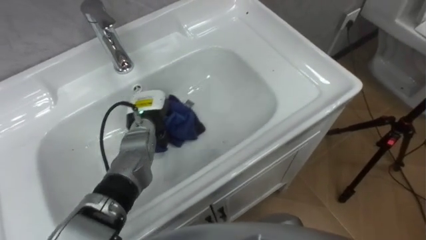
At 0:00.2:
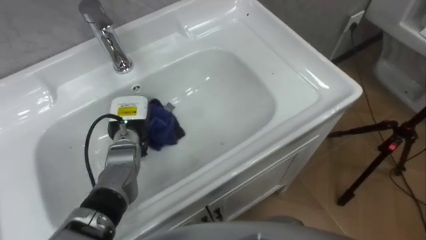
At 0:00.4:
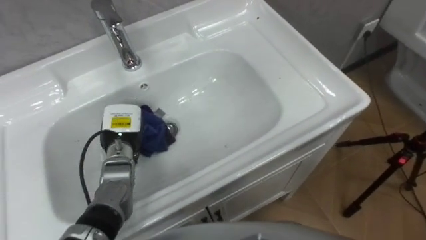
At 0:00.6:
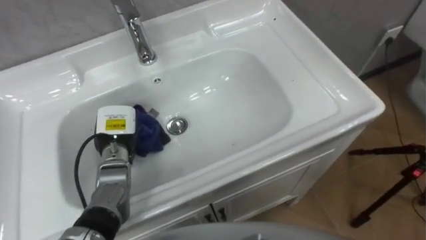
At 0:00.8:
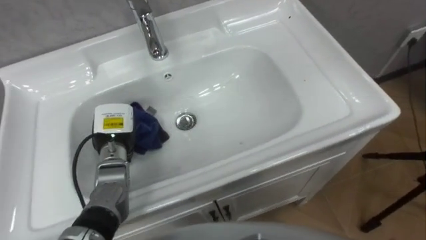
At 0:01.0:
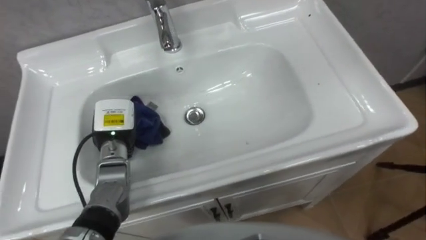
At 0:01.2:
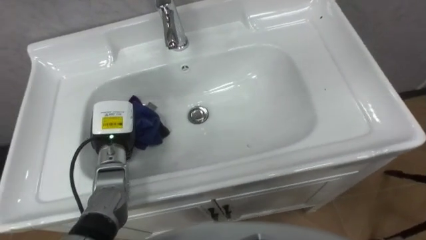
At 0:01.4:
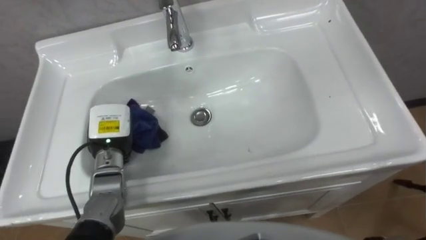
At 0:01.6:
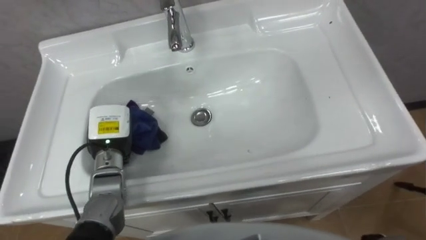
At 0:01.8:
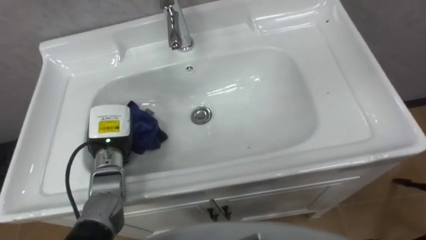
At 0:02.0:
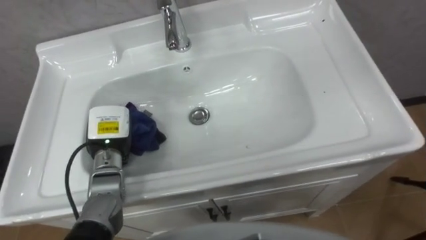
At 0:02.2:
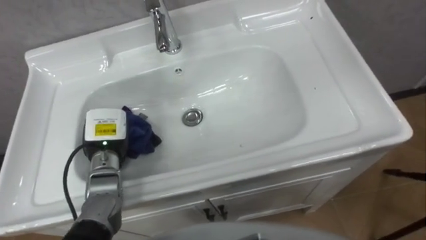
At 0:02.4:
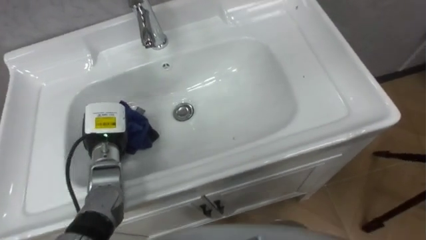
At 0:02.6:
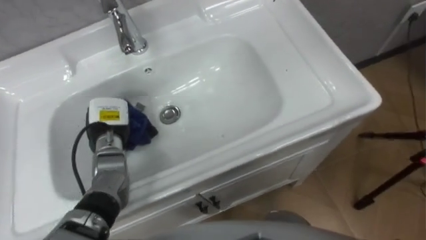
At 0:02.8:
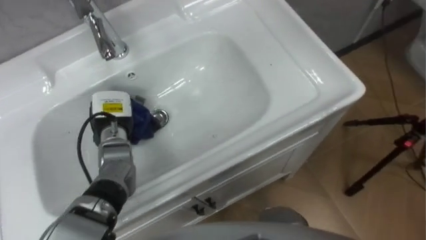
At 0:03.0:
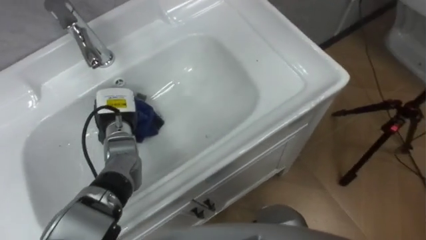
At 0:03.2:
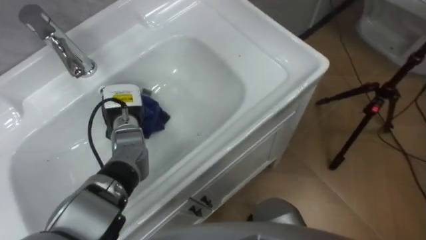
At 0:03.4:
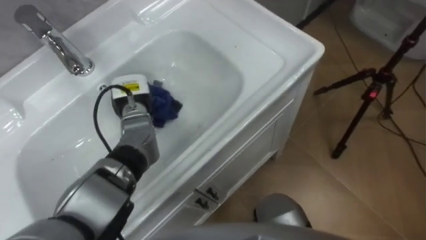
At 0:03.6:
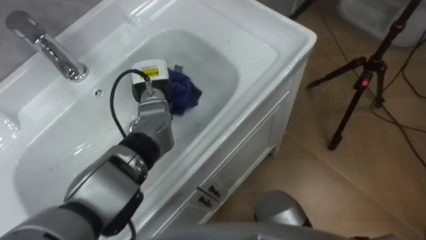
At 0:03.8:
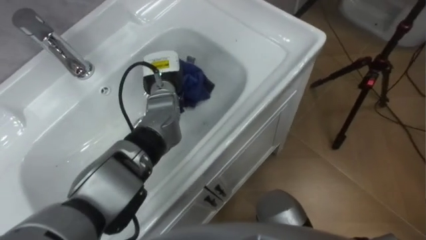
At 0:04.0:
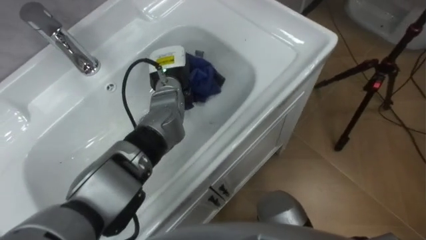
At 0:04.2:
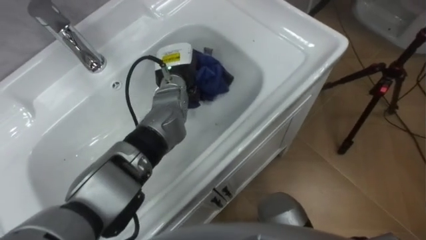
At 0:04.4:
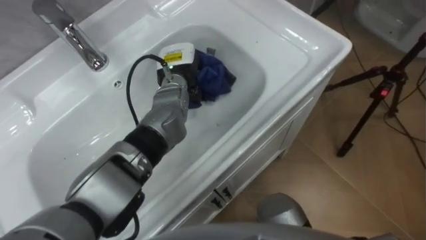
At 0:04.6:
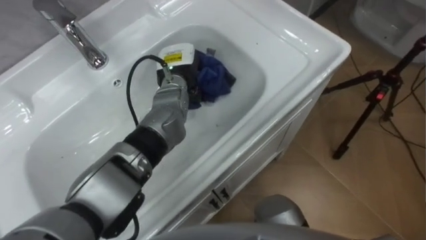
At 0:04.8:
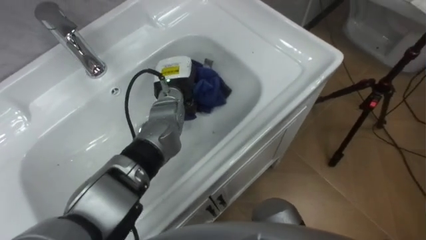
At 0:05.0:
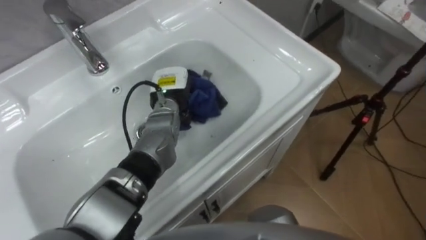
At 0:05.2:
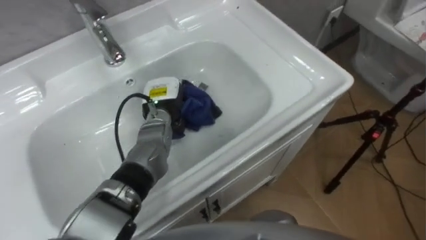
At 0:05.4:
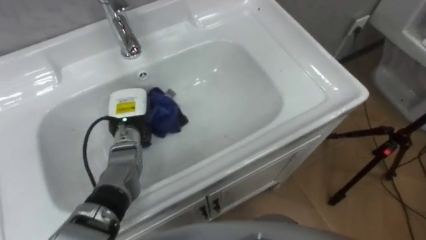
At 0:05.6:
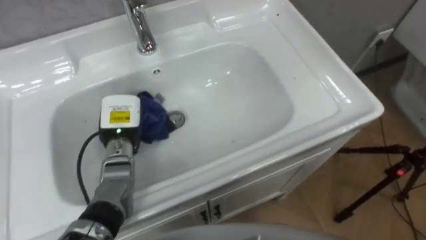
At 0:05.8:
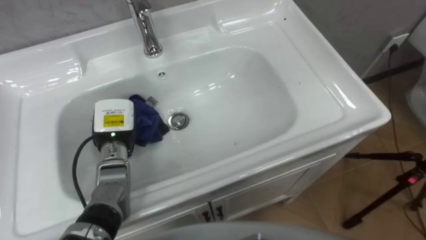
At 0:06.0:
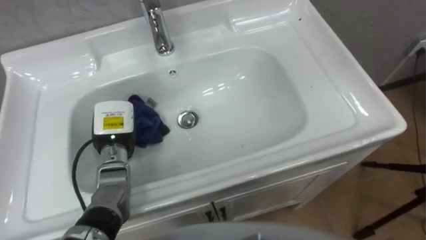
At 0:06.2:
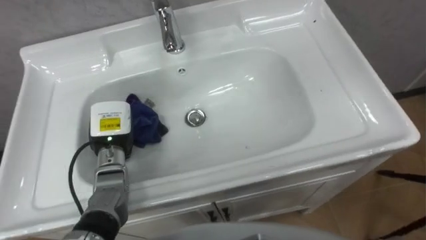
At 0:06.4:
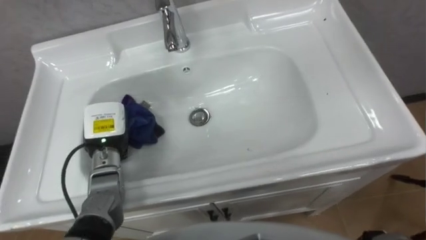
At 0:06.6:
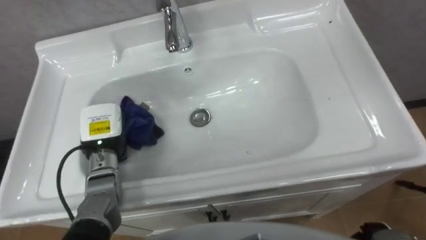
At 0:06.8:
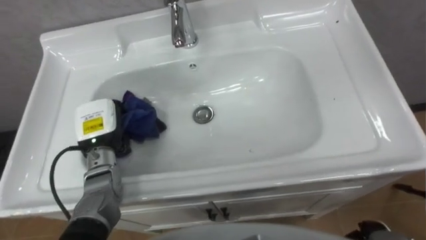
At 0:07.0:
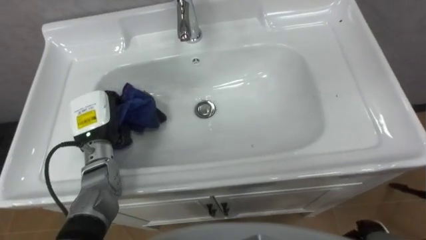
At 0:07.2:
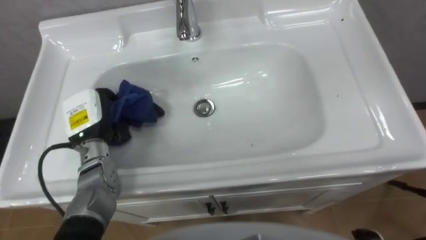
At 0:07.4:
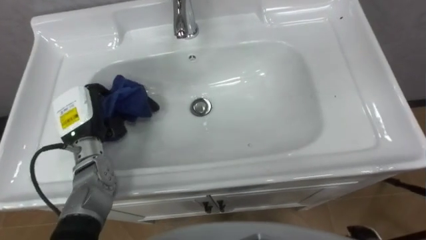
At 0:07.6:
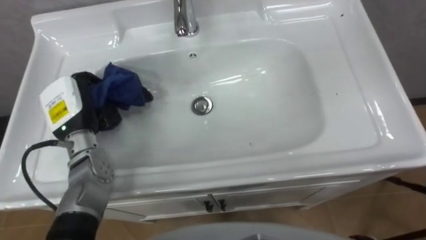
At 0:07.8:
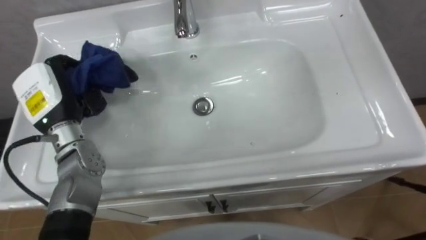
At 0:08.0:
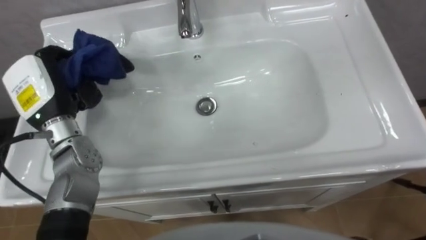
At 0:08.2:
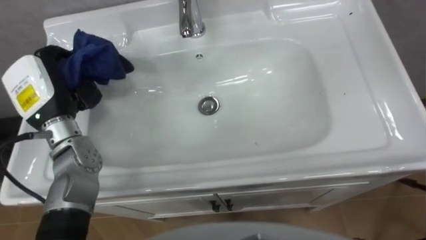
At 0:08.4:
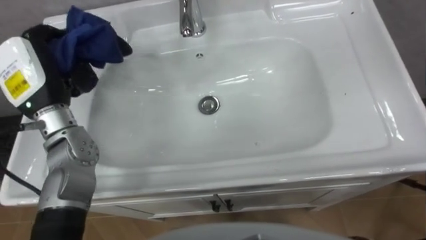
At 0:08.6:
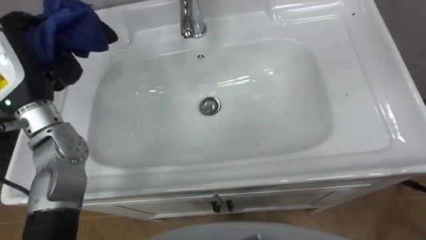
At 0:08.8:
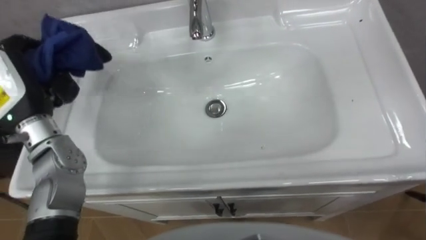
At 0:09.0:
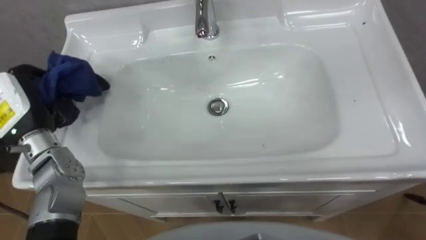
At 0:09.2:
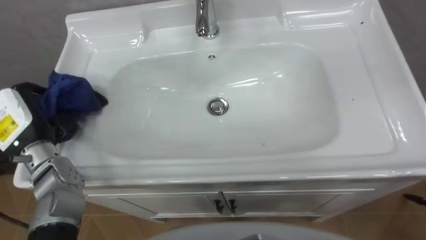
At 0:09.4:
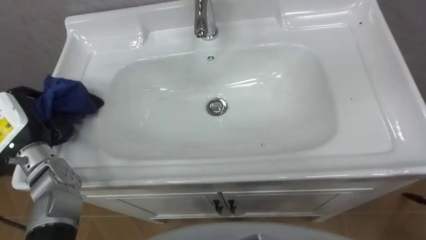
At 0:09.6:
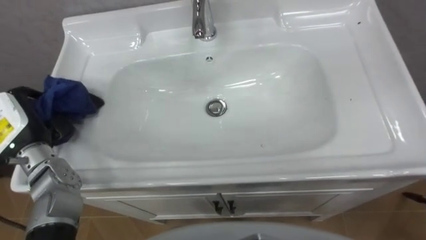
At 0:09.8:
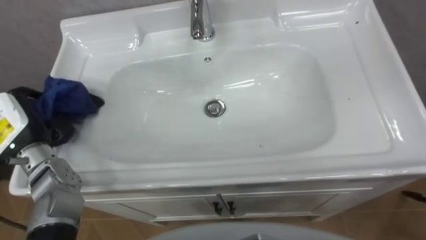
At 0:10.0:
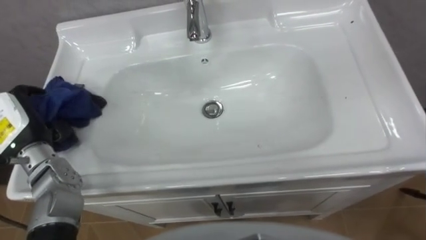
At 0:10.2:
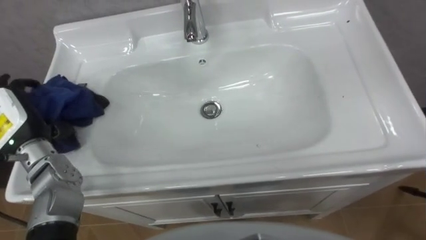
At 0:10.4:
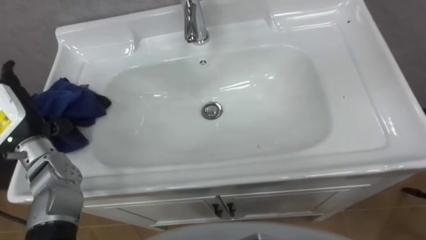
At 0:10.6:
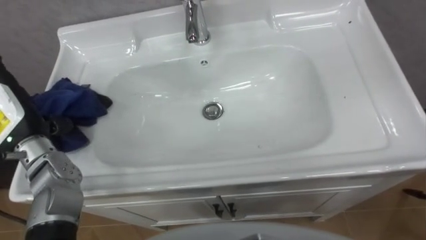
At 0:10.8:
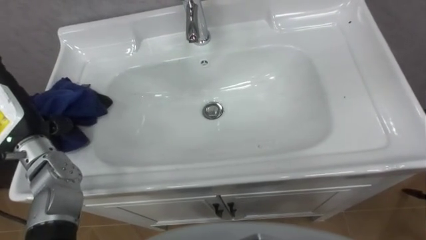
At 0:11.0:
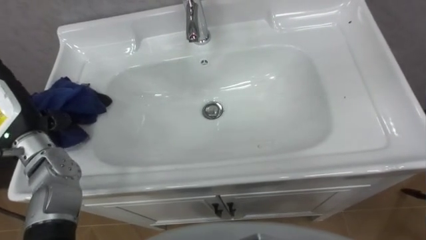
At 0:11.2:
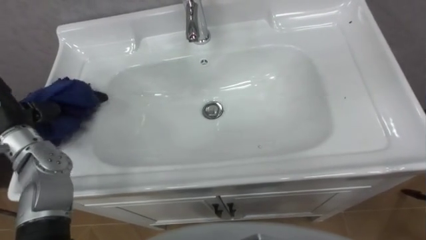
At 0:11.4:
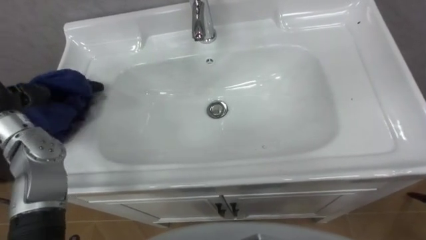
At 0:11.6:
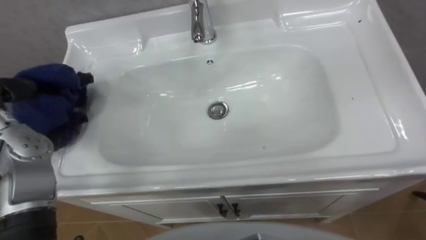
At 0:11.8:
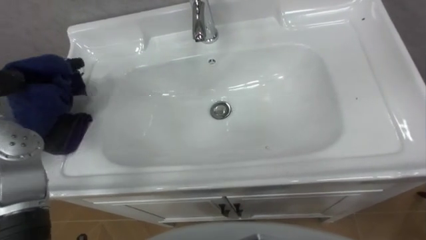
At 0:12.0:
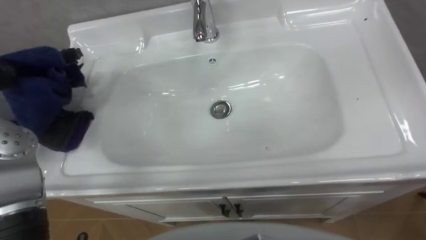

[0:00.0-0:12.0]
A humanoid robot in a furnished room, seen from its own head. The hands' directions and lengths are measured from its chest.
Task of the whole recording: Use the cloth on the right to wipe away the black stain in the sink.
0:00.0 to 0:01.6: The left hand heads to the left and backward, covering approximately 10 cm.
0:01.6 to 0:03.0: The left hand goes approximately 5 cm forward.
0:03.0 to 0:04.4: The left hand shifts approximately 15 cm to the right, forward and upward.
0:04.4 to 0:06.0: The left hand moves to the left, backward and downward, about 20 cm.
0:06.0 to 0:07.6: The left hand goes some 10 cm upward and to the left.
0:07.6 to 0:09.0: The left hand goes roughly 10 cm to the left and upward.
0:09.0 to 0:10.4: The left hand opens up.

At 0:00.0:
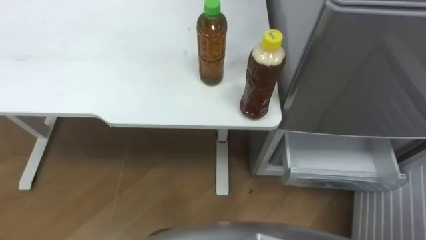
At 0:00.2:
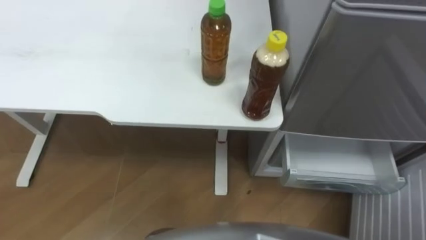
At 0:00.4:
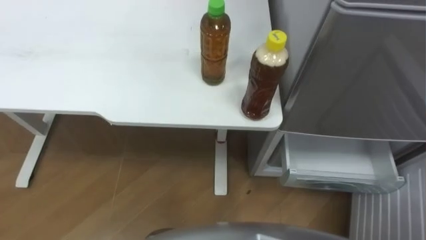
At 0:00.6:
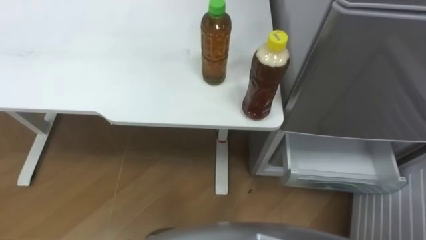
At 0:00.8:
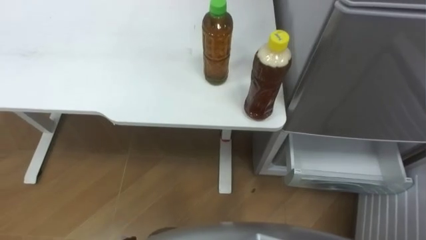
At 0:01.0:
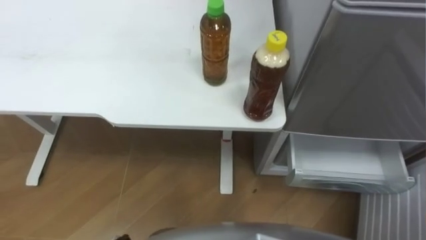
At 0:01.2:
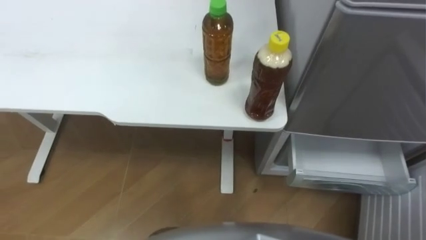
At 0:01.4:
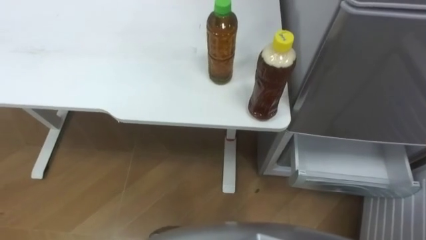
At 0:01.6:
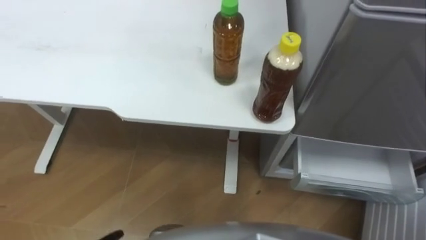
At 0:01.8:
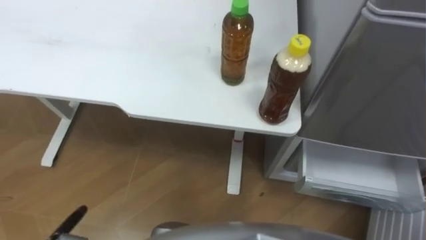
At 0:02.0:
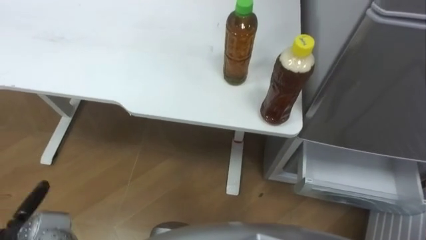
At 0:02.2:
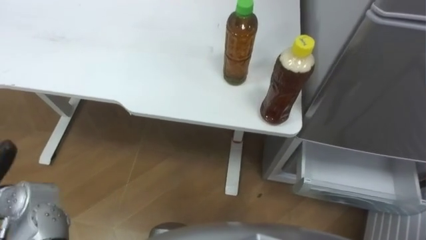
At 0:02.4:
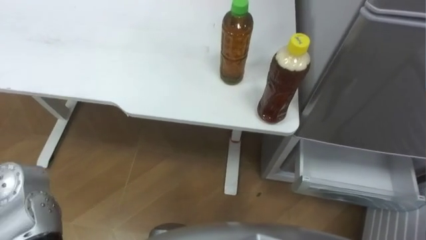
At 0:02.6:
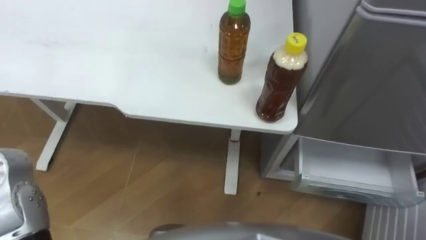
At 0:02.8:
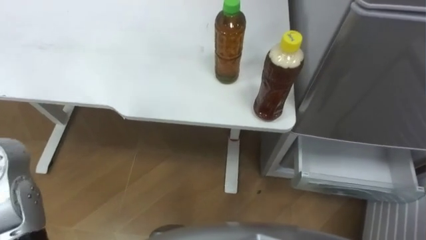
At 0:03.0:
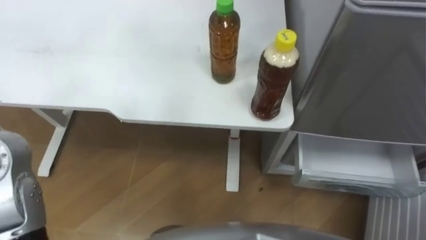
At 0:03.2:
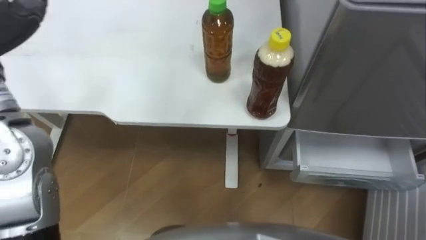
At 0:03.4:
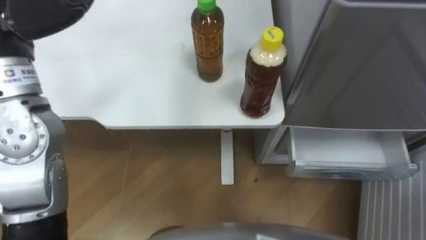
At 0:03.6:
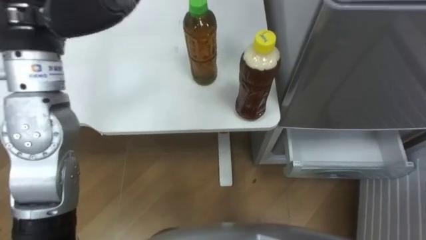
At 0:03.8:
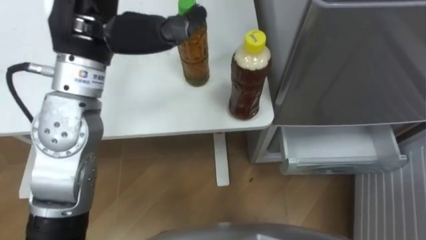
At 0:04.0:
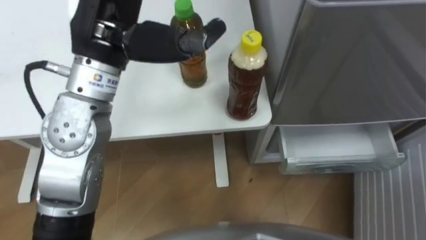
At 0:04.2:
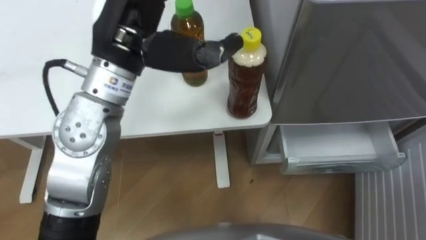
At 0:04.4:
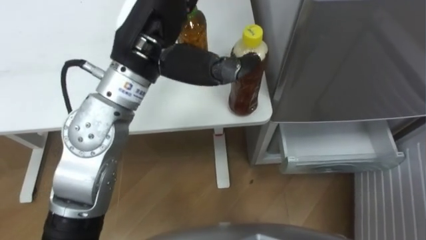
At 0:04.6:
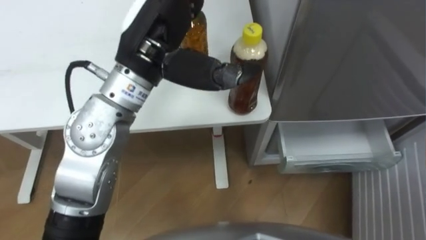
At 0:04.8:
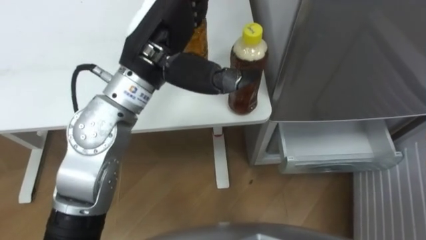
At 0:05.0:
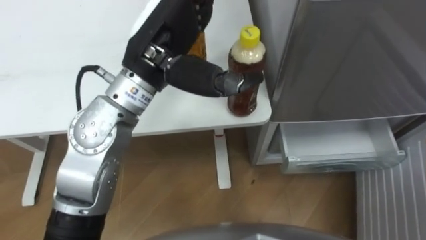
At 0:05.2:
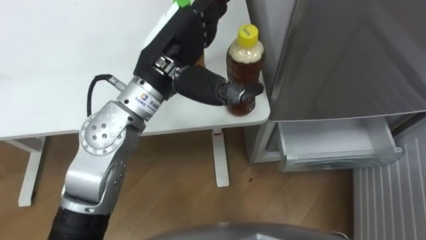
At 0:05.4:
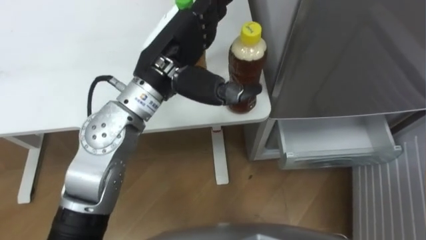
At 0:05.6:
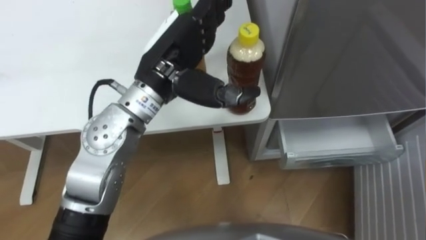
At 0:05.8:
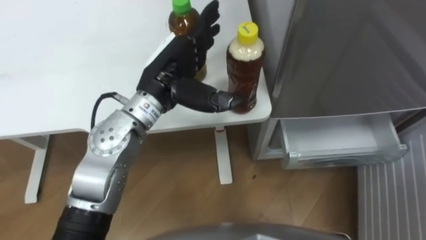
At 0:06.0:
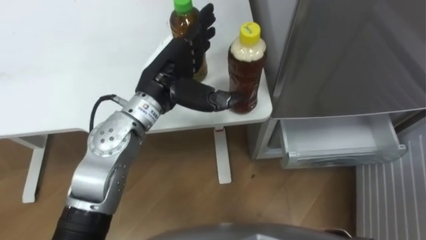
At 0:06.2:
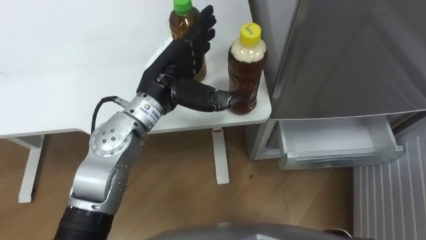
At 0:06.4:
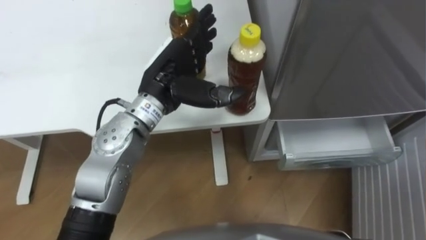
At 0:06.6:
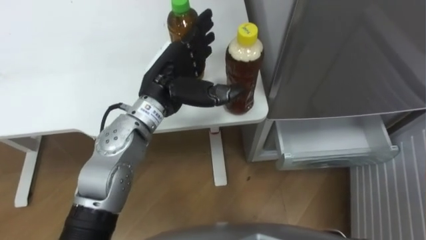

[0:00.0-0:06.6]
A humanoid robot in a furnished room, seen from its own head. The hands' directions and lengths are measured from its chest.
Task of the whole recording: Place the drink on the table on the bottom shelf of the refrigerator, then close the drawer and the refrigerator door.
0:05.0 to 0:06.6: The left hand is displaced downward by roughly 10 cm.
